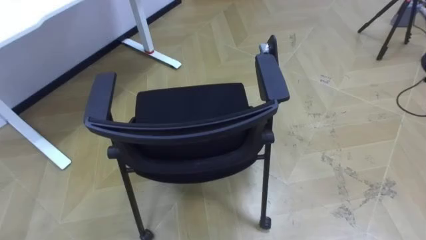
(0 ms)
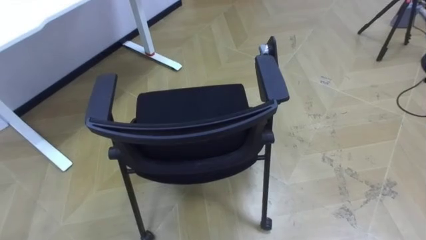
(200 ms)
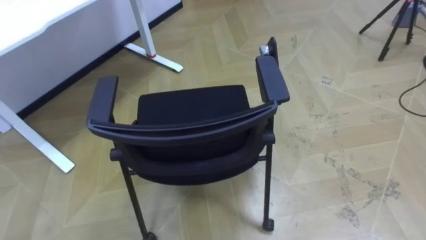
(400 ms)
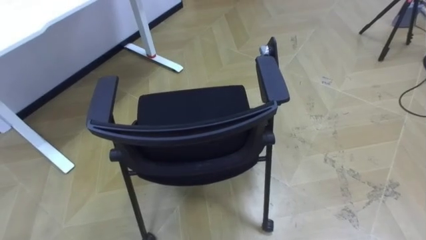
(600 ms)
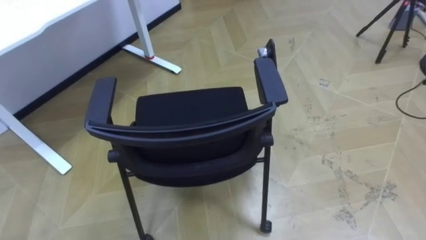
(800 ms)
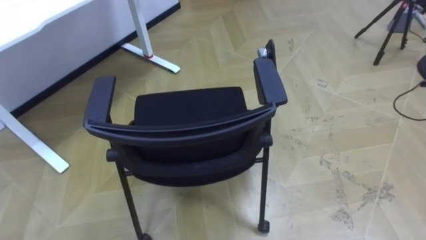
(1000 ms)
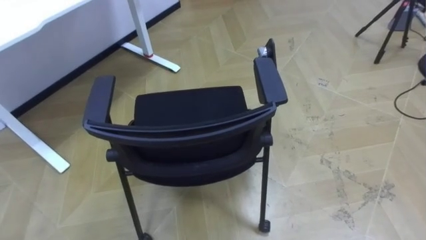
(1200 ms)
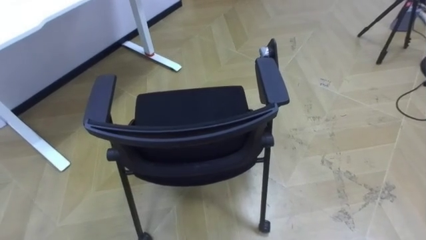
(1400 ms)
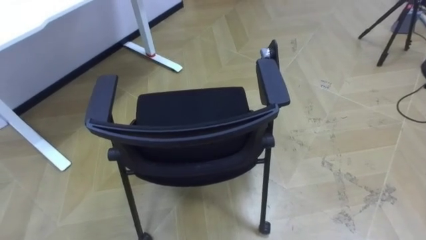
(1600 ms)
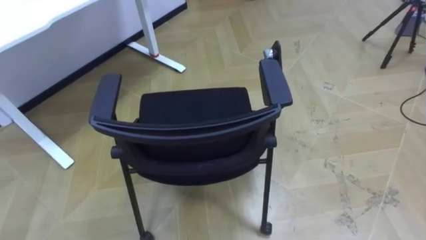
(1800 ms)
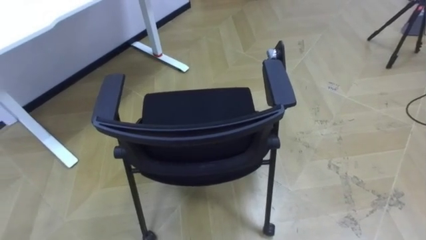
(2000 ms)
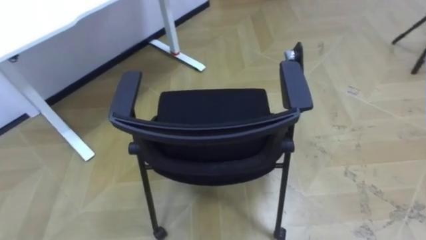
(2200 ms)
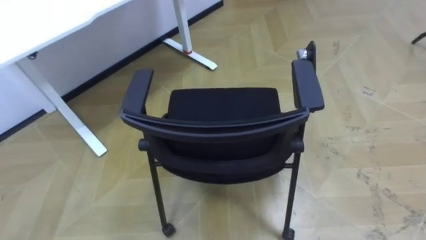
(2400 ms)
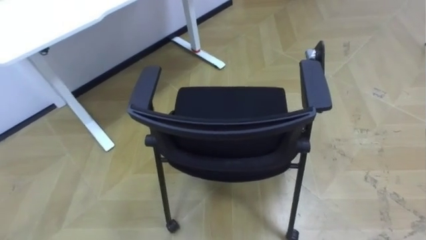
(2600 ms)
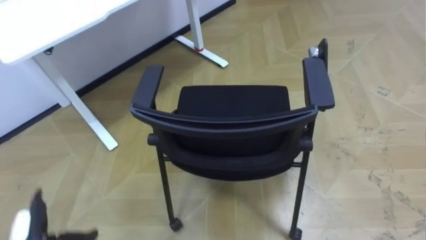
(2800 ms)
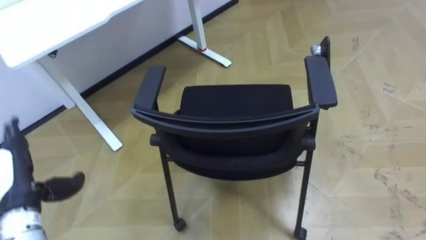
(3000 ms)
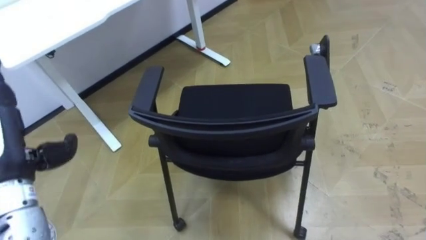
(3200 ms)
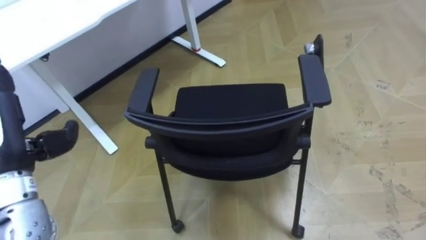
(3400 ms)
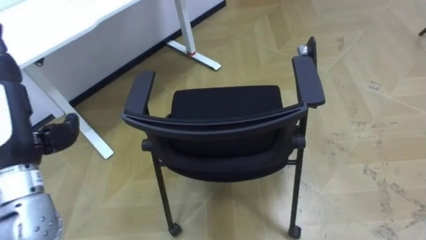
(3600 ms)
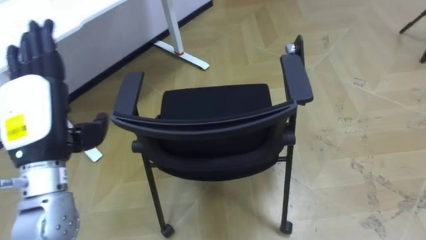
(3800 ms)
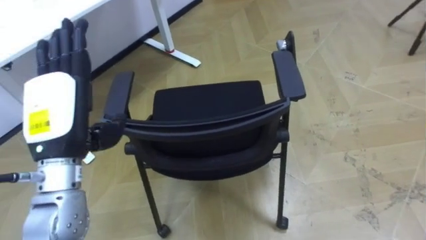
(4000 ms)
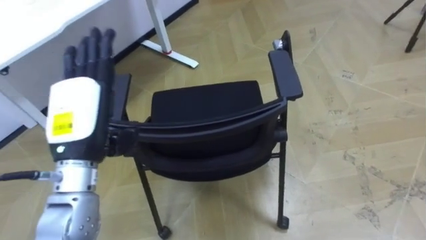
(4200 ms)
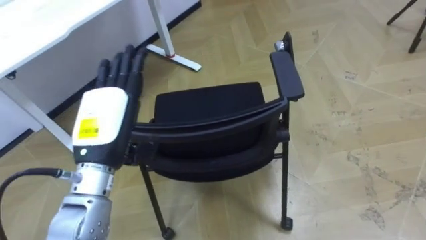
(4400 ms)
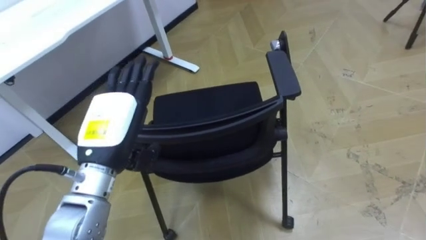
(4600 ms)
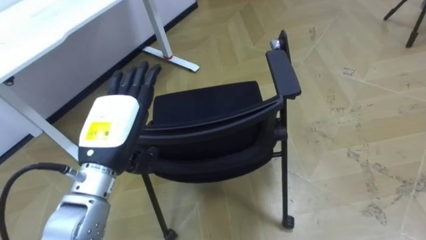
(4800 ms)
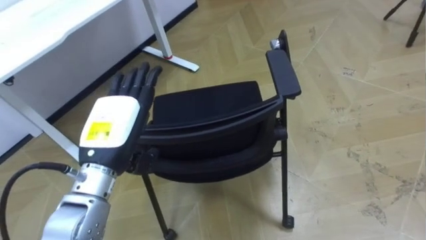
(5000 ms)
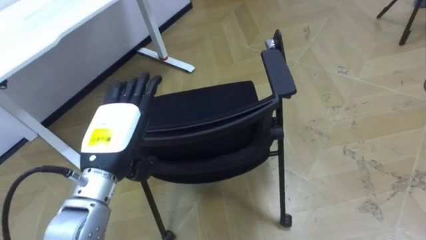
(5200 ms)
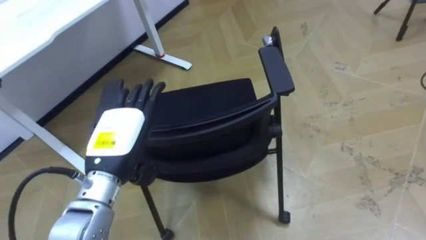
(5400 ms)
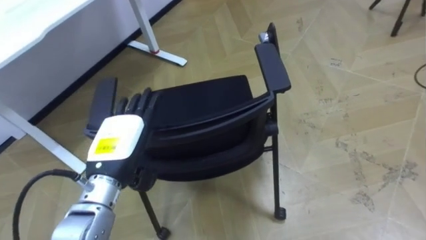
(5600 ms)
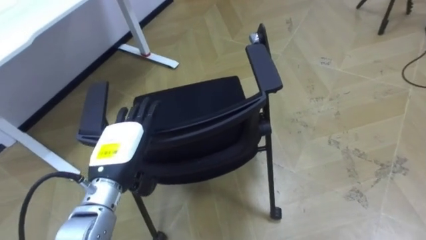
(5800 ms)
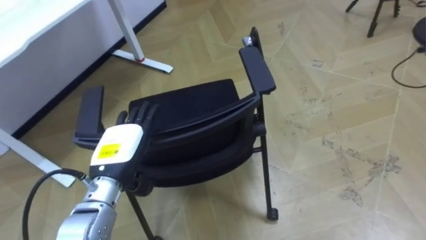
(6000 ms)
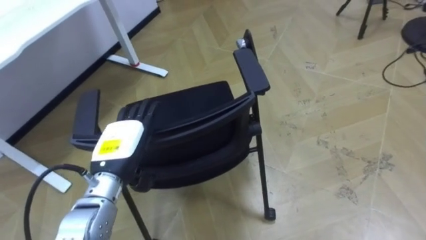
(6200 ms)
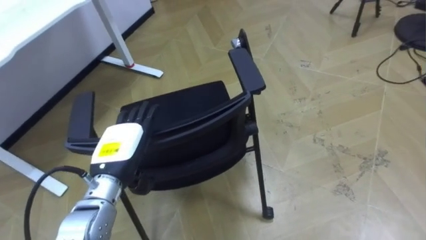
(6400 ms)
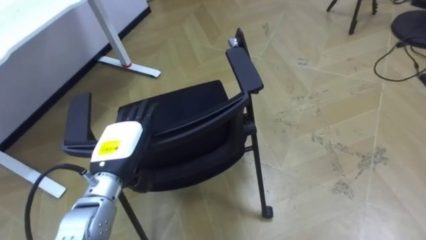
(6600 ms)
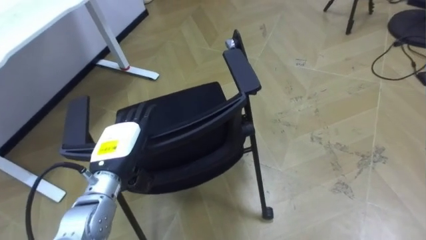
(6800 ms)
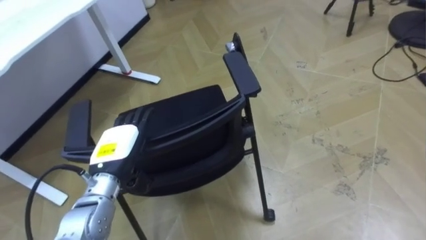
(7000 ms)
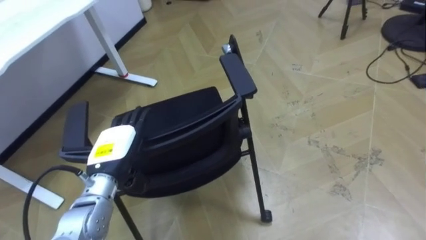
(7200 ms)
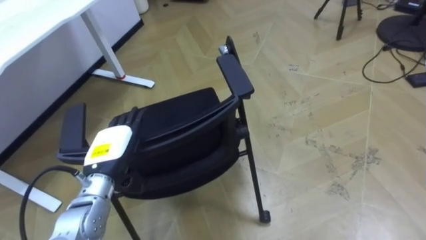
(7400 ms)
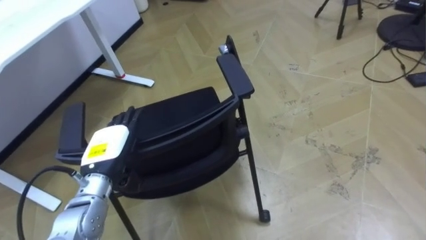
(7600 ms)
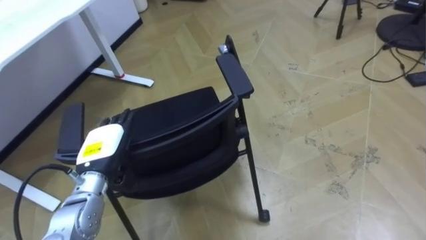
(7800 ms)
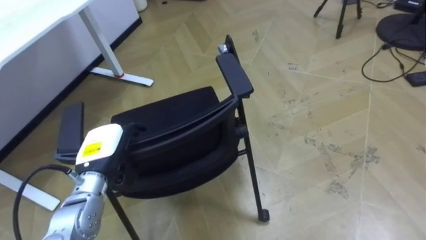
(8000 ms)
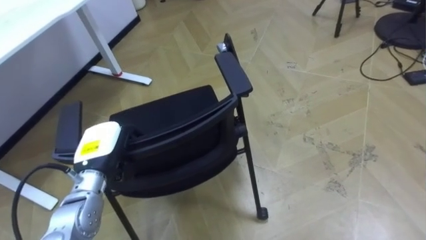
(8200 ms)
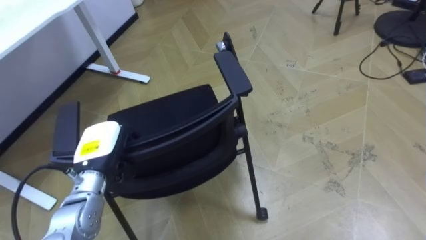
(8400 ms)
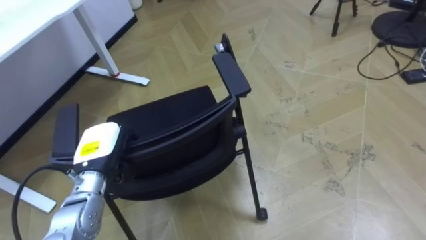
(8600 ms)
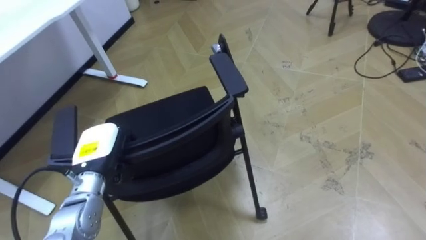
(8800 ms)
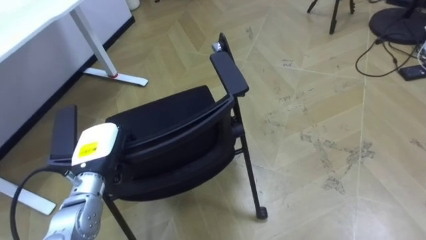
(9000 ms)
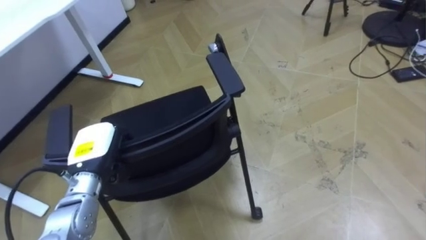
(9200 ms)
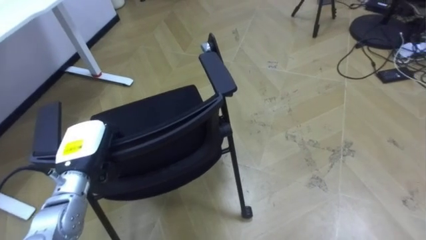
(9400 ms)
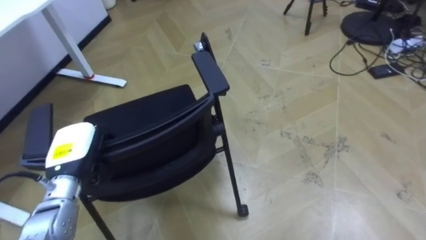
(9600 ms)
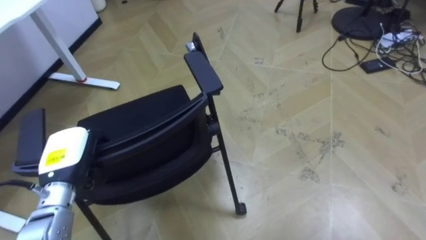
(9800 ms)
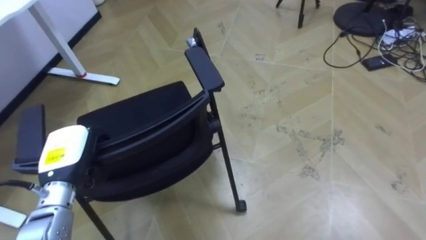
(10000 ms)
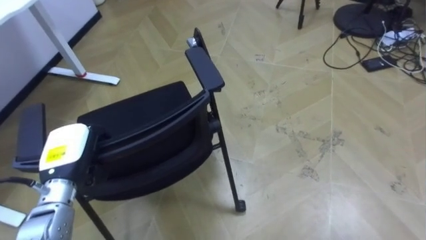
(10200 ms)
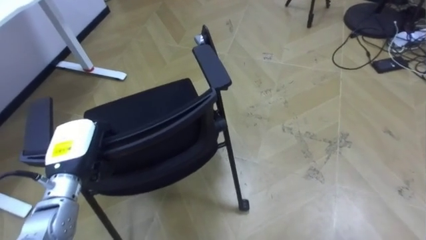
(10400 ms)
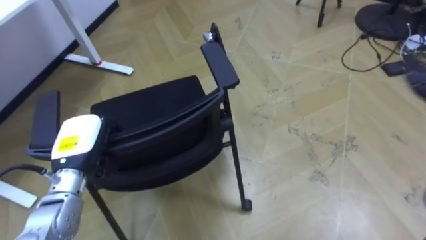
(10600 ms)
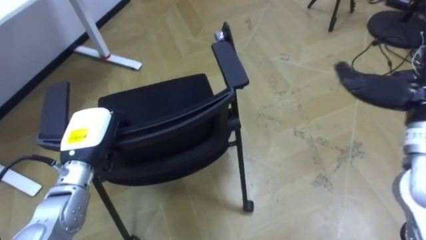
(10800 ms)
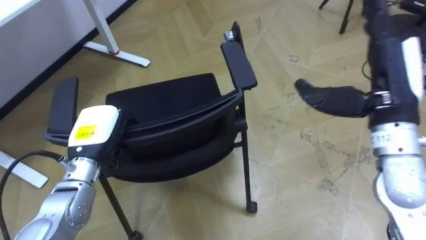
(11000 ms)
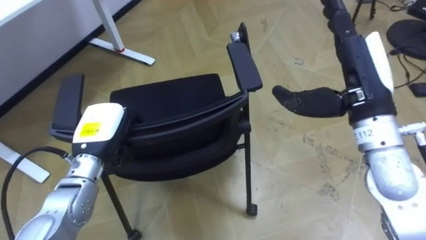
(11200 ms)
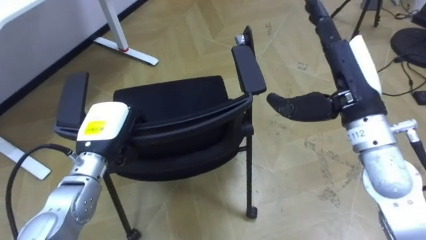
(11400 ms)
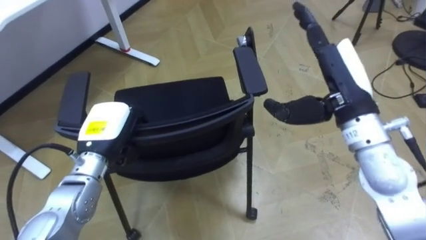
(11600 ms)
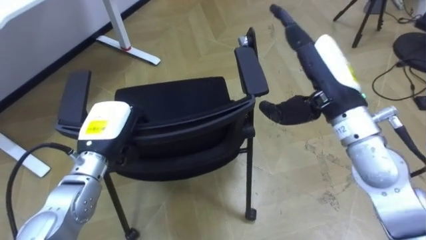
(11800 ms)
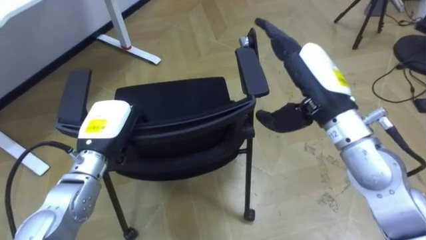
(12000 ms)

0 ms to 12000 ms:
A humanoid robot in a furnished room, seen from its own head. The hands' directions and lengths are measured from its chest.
Task of the whole recording: Push the chair under the table.
4400 ms to 6000 ms: The left hand travels downward by approximately 10 cm.
7600 ms to 9000 ms: The left hand closes up.
10400 ms to 12000 ms: The left hand is displaced to the right by about 5 cm.

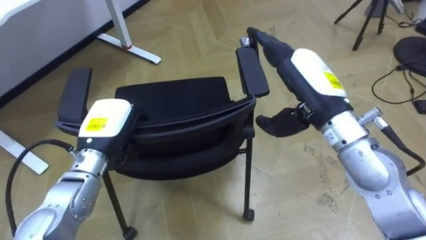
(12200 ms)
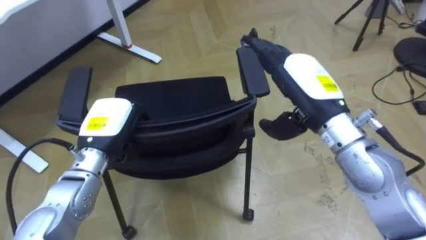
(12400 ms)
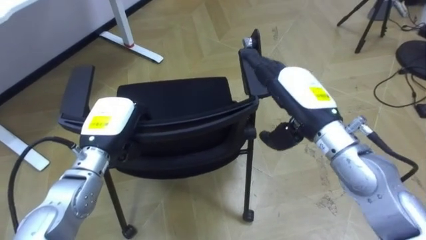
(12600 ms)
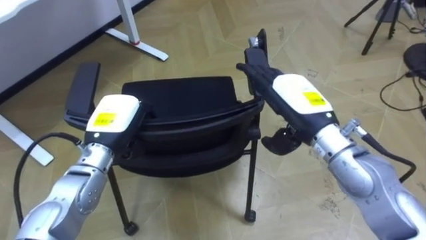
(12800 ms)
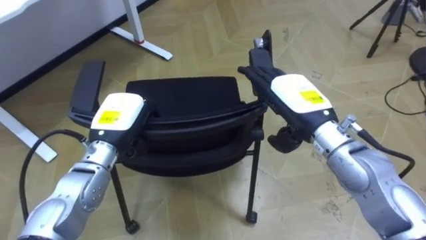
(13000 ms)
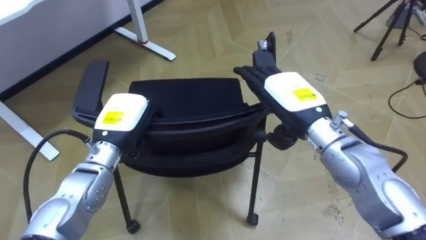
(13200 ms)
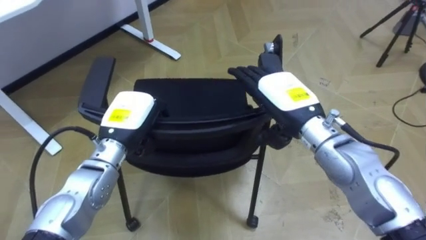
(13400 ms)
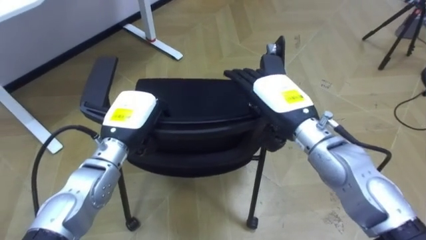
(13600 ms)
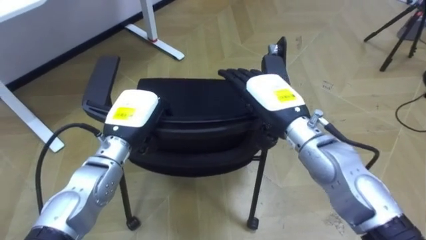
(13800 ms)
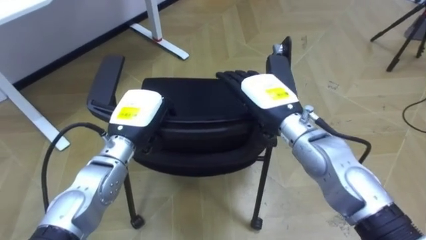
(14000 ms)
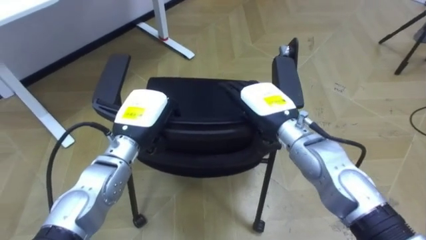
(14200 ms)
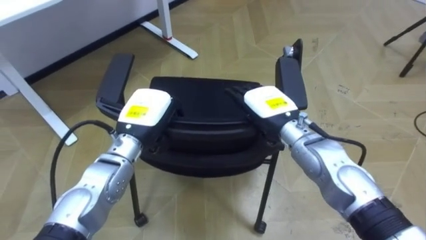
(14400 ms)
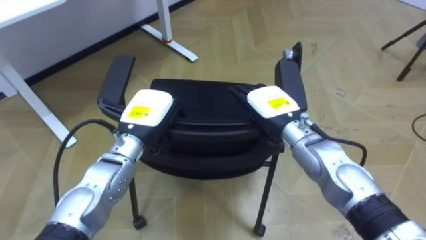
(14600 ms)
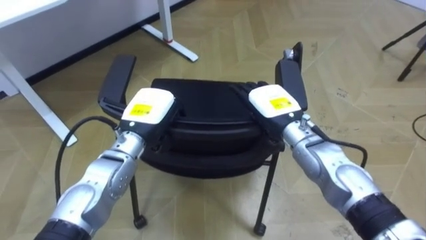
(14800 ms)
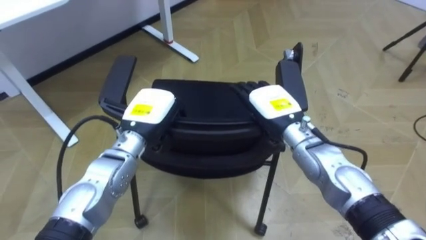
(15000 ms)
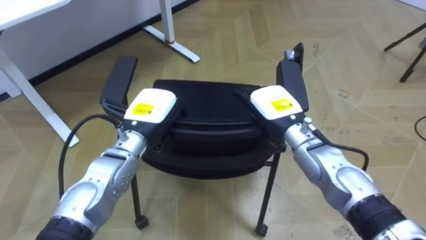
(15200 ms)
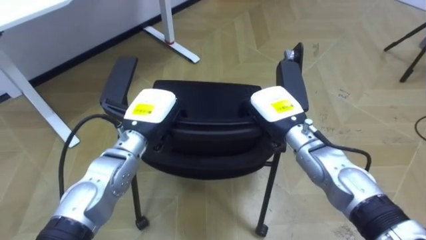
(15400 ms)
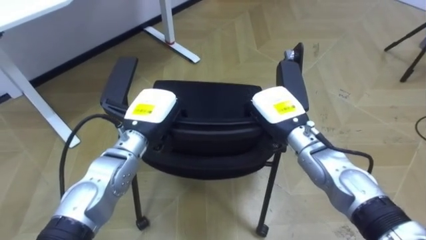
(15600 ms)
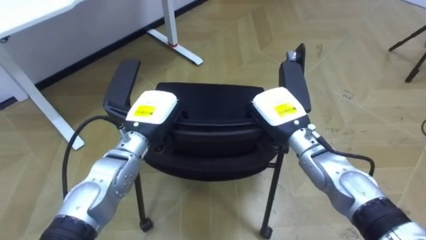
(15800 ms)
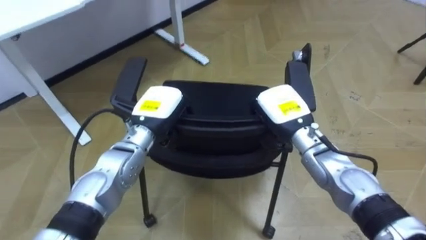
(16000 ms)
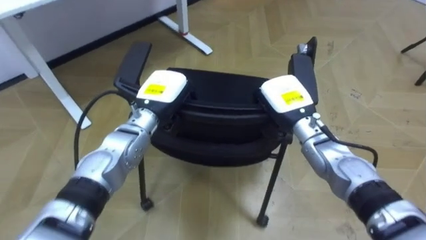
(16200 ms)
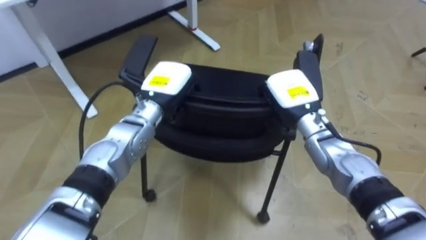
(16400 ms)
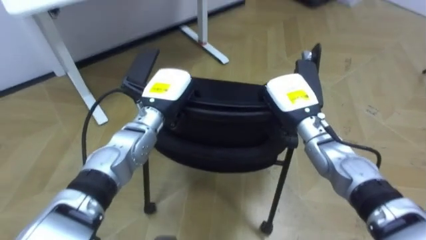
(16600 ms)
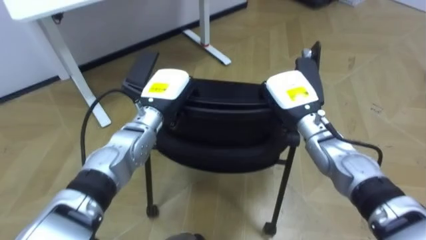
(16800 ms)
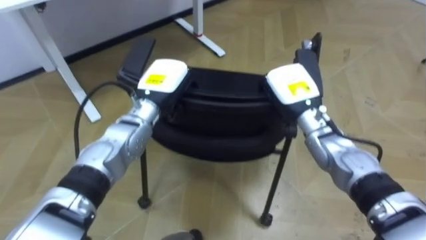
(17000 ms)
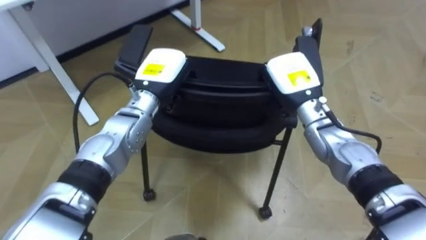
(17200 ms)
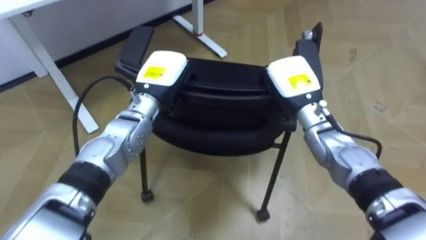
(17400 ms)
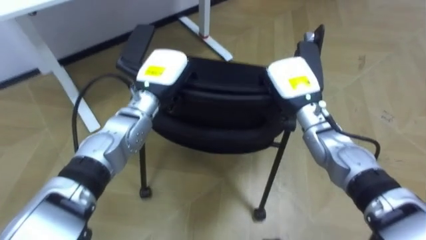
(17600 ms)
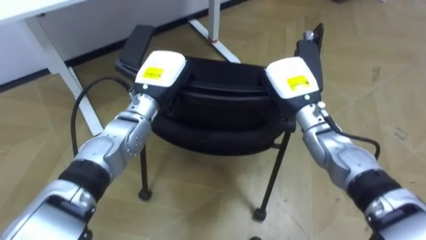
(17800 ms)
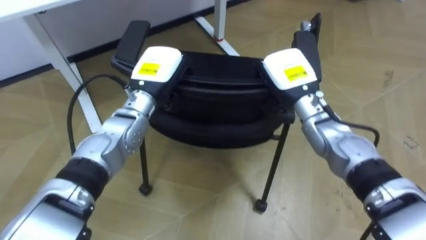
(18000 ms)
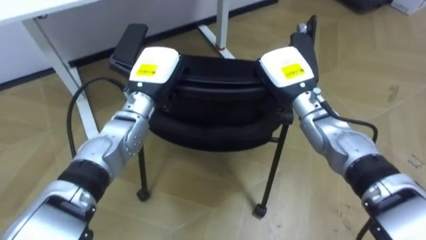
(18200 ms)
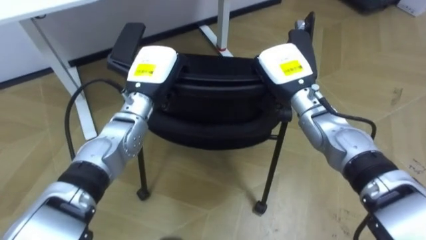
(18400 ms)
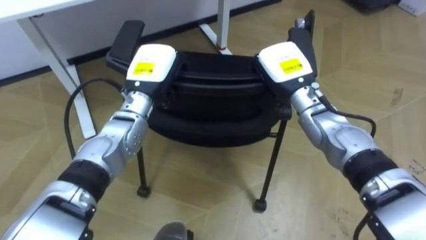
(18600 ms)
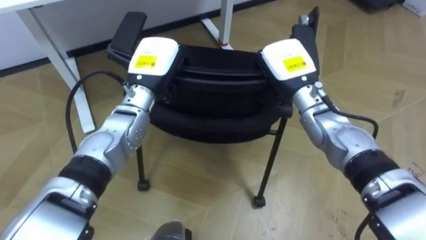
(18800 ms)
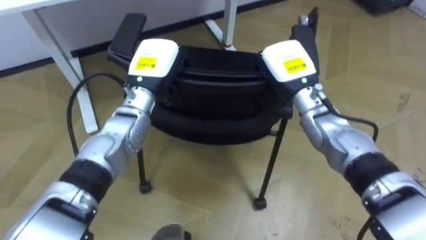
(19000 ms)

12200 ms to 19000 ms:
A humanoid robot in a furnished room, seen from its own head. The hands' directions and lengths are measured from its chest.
Task of the whole recording: Push the chair under the table.
12200 ms to 13600 ms: The right hand heads downward, covering roughly 5 cm.
13600 ms to 15000 ms: The right hand heads downward, covering about 5 cm.
15000 ms to 16200 ms: The right hand closes its fingers.
